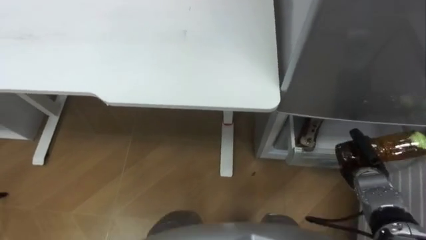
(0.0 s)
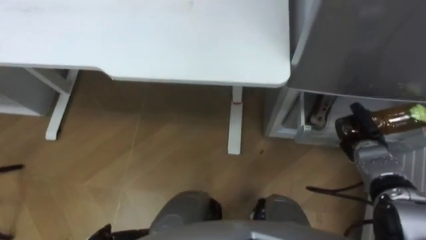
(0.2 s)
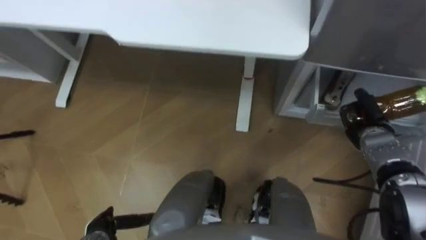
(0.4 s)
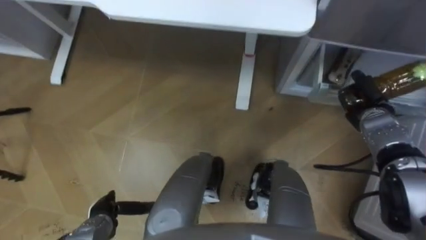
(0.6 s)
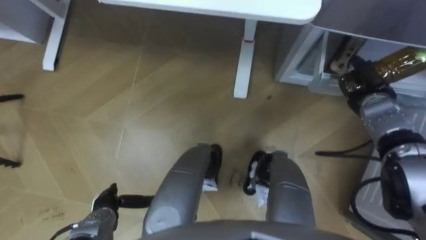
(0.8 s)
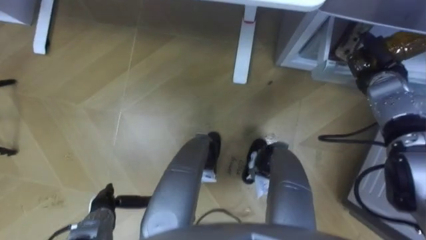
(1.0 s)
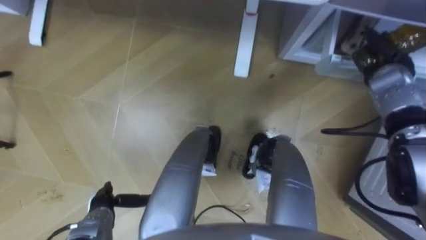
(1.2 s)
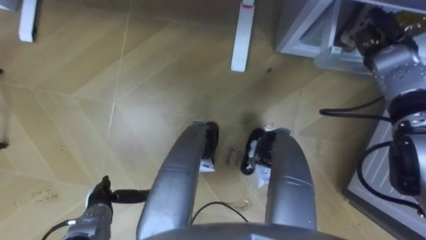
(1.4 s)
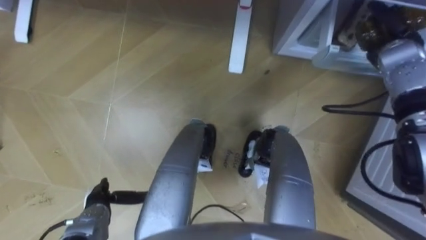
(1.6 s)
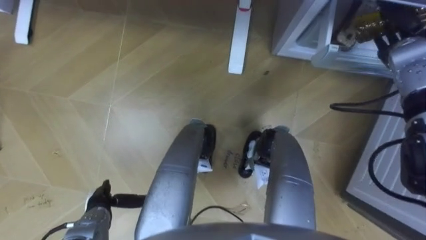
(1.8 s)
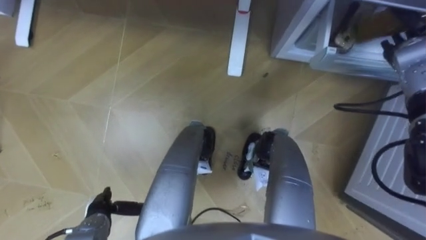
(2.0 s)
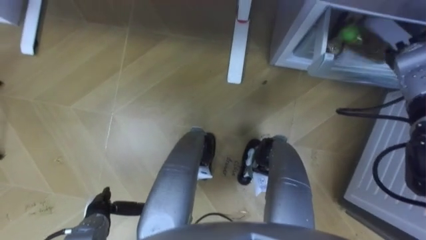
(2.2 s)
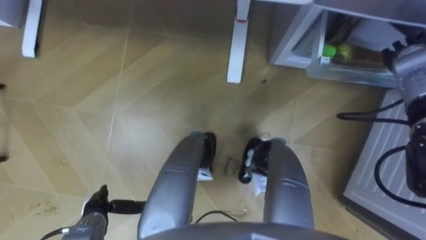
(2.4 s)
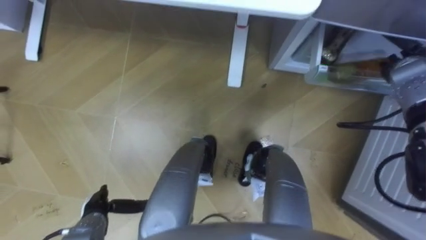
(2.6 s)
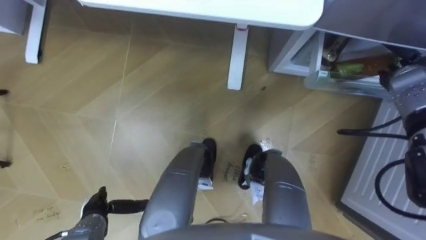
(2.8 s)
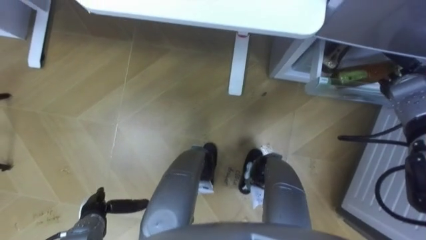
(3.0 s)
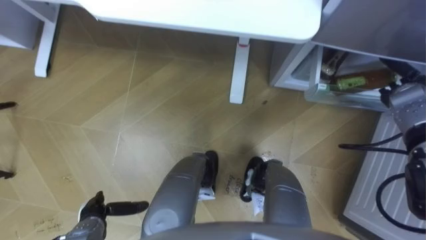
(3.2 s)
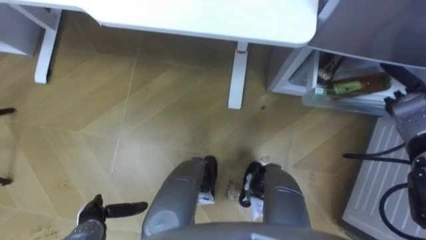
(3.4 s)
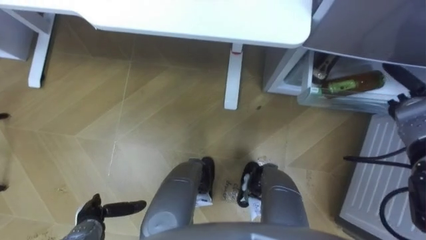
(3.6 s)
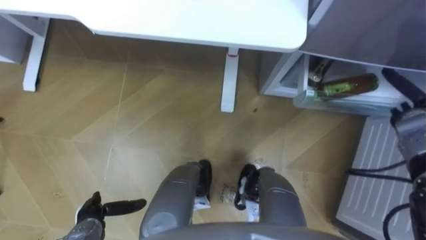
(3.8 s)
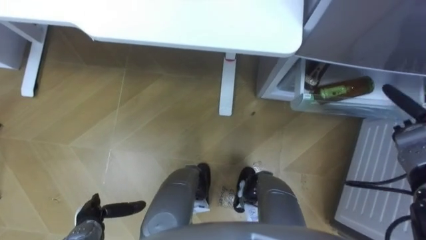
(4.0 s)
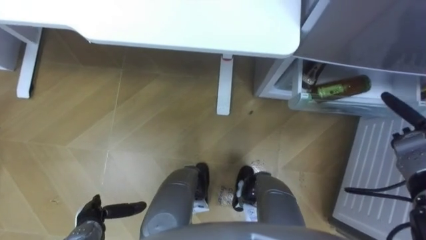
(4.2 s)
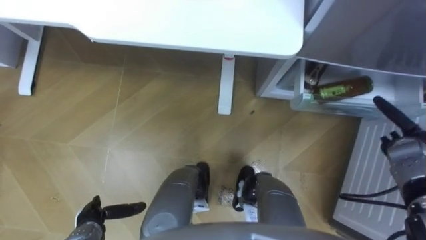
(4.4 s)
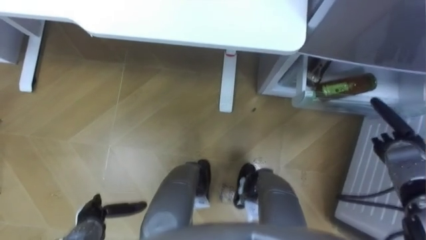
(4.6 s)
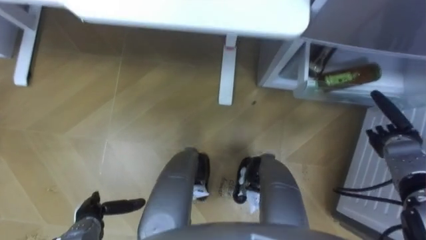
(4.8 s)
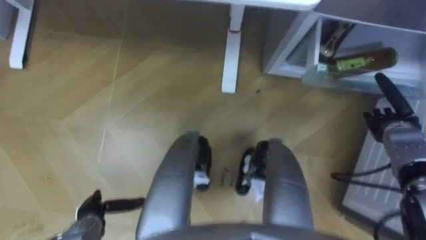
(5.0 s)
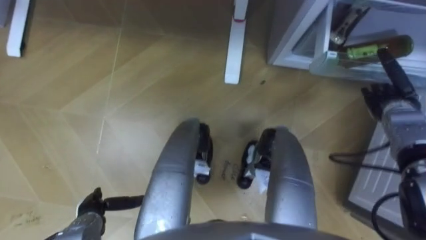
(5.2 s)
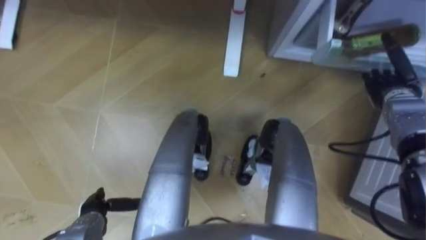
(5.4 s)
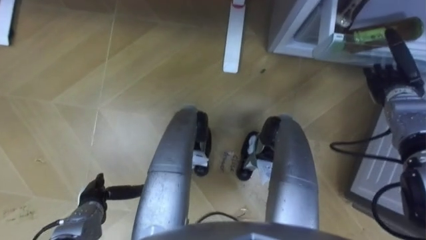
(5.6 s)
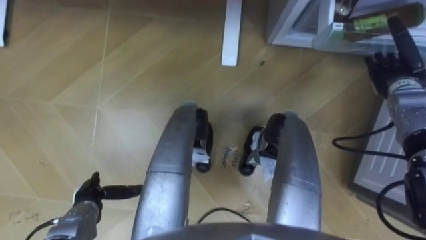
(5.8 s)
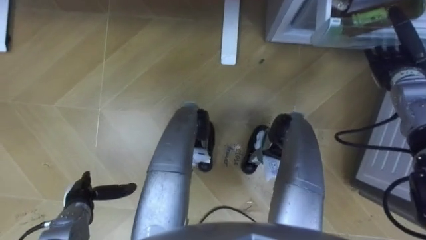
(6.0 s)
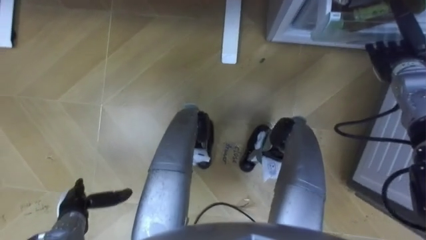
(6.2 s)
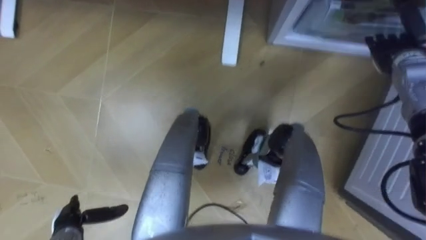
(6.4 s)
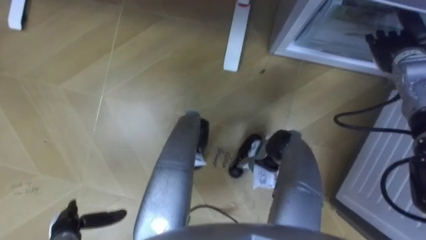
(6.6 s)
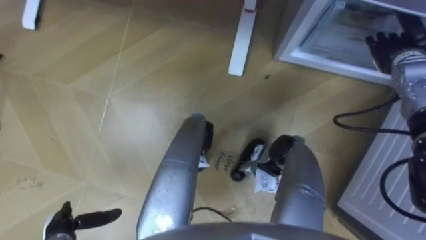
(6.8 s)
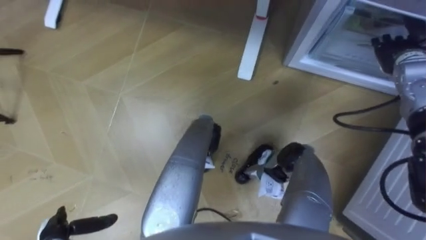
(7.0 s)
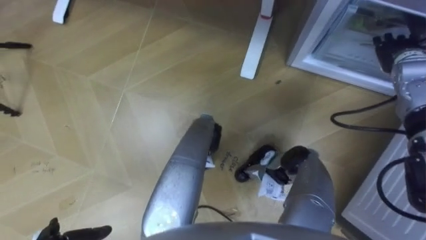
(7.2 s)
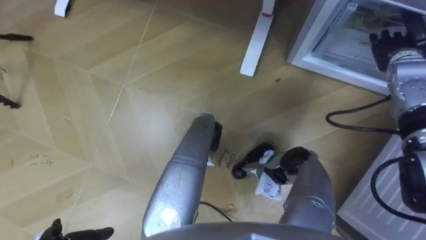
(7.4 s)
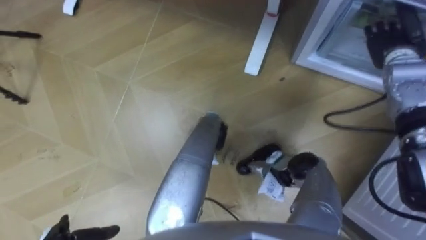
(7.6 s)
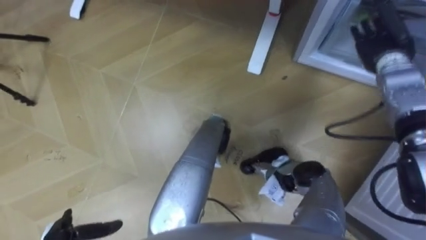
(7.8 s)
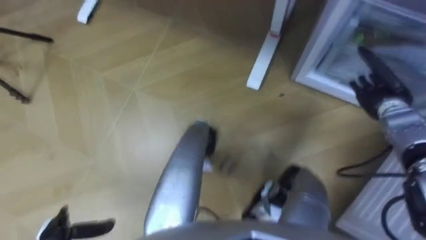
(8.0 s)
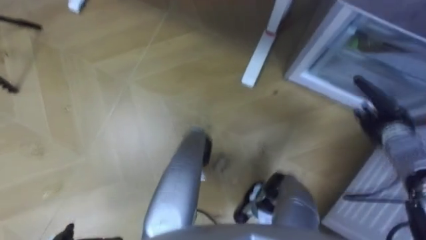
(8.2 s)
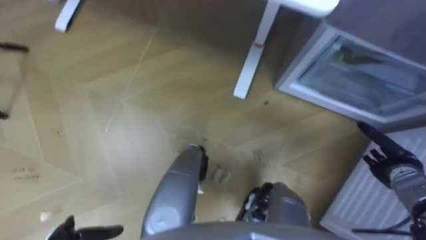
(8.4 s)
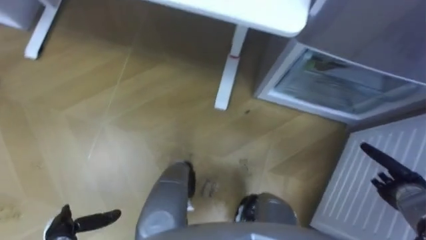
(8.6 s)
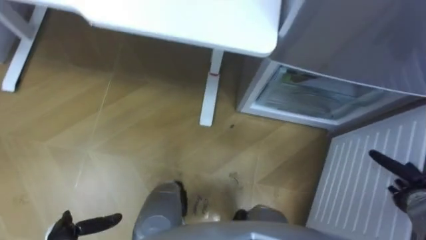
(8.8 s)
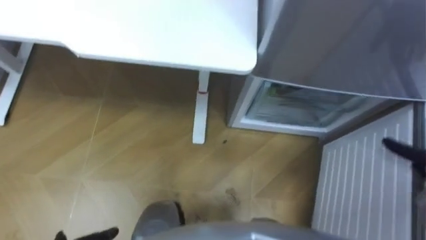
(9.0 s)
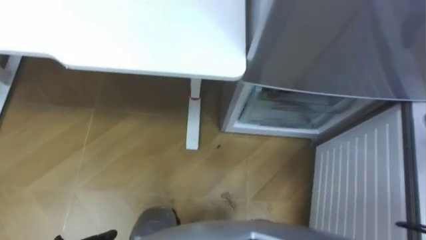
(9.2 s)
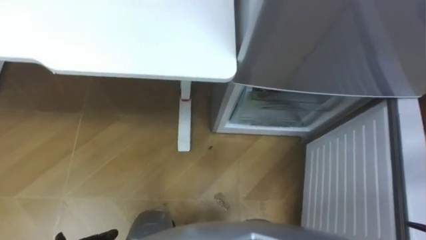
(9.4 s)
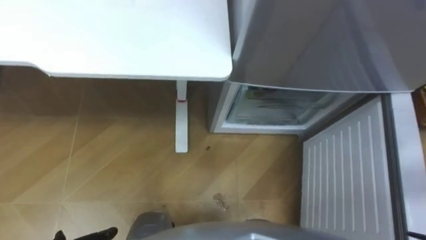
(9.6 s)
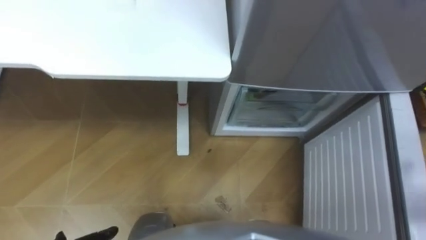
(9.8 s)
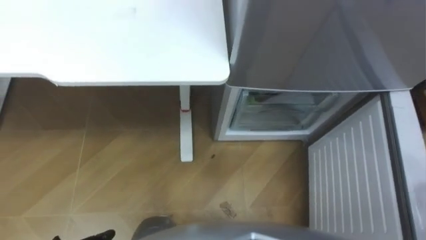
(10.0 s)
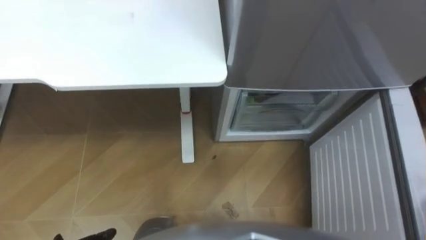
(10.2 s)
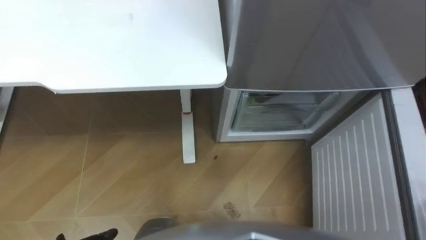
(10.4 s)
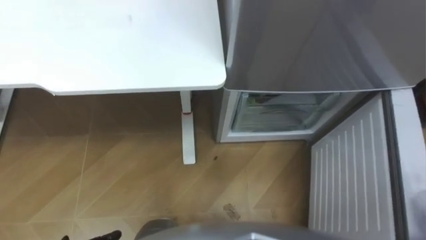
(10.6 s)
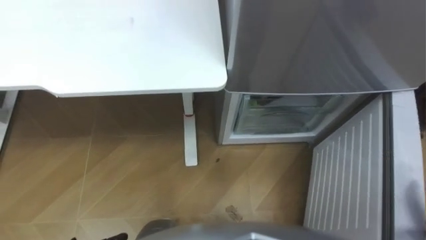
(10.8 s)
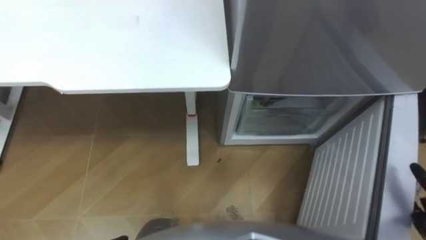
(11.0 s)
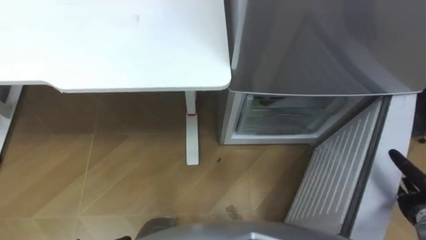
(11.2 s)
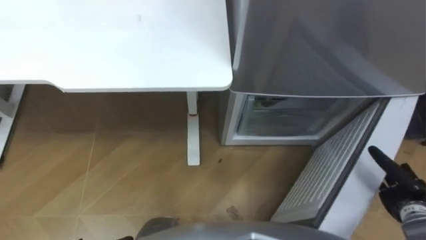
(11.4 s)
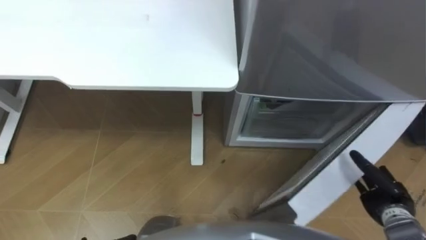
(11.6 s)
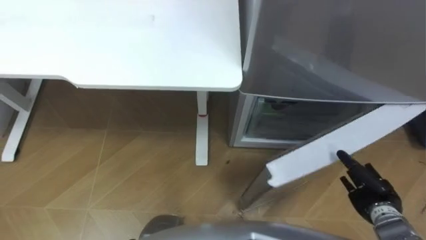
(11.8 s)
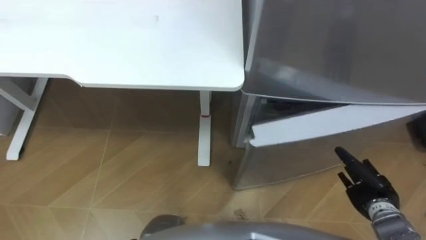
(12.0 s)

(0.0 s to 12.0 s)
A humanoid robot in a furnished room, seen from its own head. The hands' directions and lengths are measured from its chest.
Task of the whole recording: Place the drink on the table on the bottom shelf of the refrigerator, then close the drawer and the refrigerator door.
0.0 s - 1.6 s: The right hand goes some 25 cm forward and upward.
1.6 s - 3.0 s: The right hand moves some 10 cm, and opens its fingers.
3.0 s - 4.4 s: The right hand is displaced backward and downward by some 15 cm.
4.4 s - 6.0 s: The left hand changes place by some 5 cm, while the right hand shifts approximately 15 cm forward and upward.

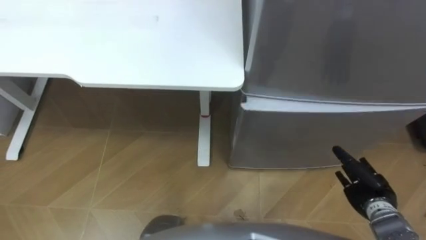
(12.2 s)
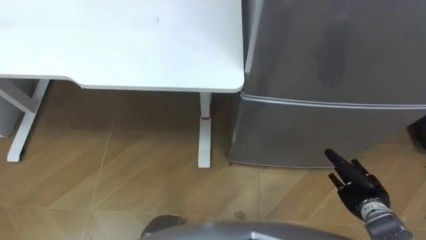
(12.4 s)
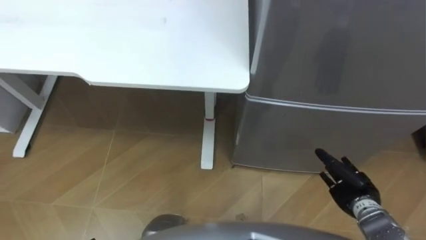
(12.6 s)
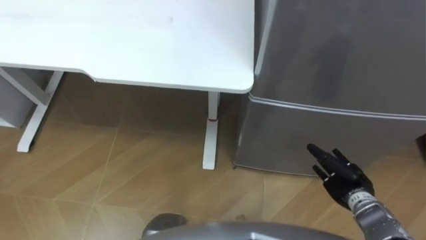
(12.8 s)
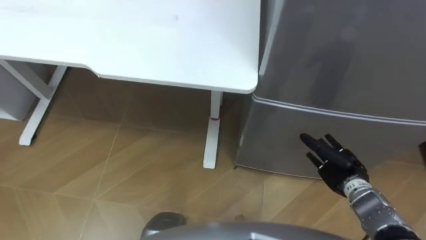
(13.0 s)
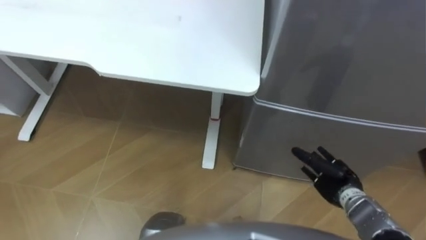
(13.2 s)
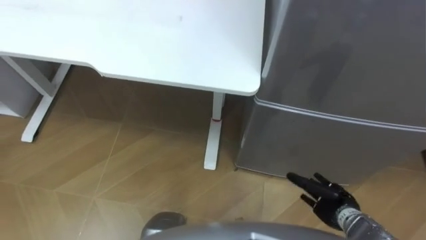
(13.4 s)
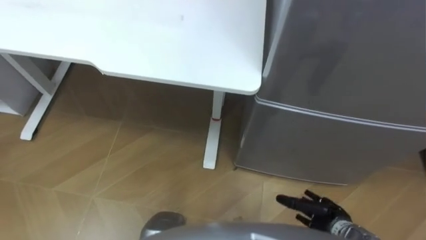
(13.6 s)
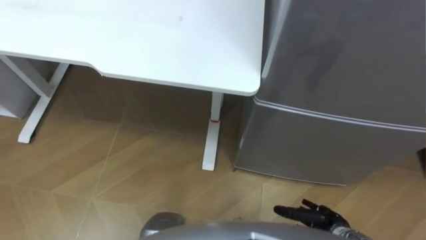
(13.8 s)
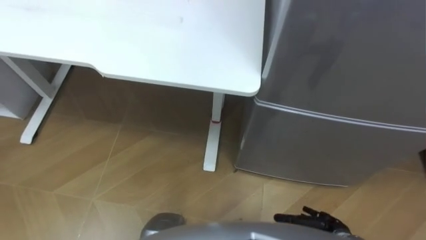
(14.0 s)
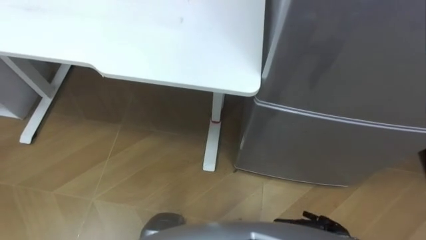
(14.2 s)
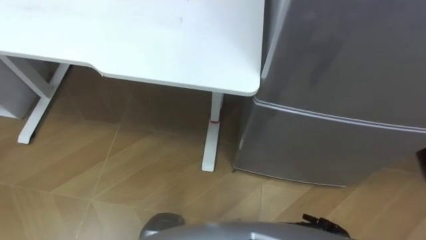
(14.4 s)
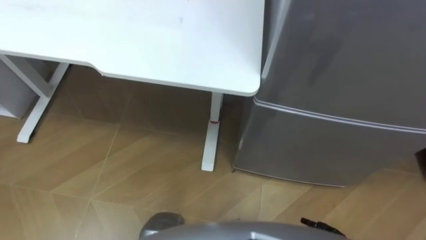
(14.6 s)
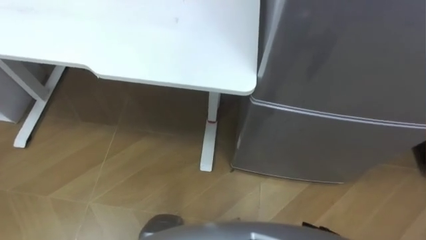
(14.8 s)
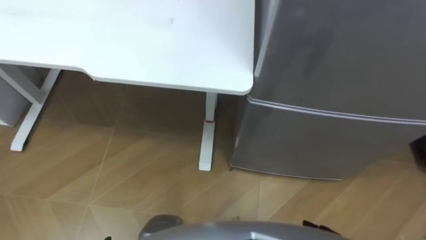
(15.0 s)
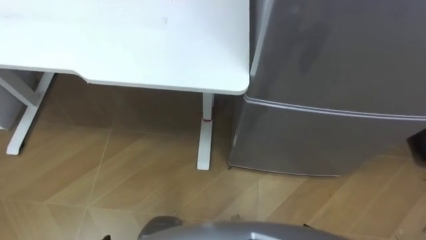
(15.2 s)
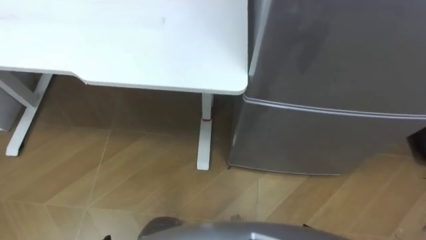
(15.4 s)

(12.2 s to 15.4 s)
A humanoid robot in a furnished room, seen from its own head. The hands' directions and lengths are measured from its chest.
Task of the whole recording: Place the drink on the table on the bottom shelf of the refrigerator, then close the drawer and the refrigerator door.
12.2 s - 13.8 s: The right hand is displaced to the left, backward and downward by some 10 cm.

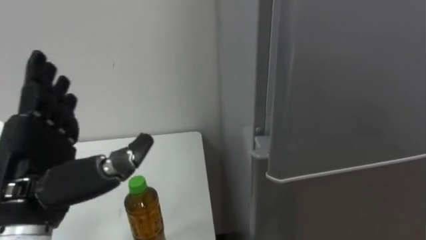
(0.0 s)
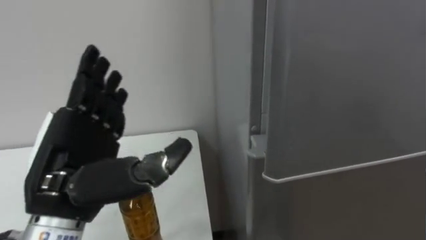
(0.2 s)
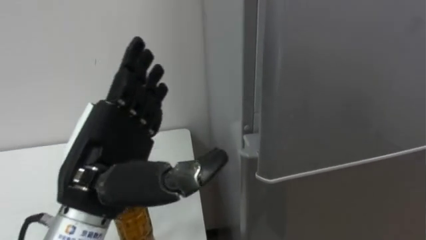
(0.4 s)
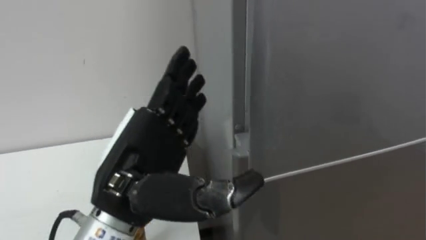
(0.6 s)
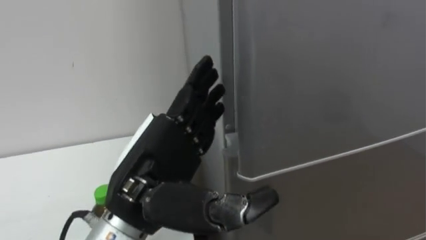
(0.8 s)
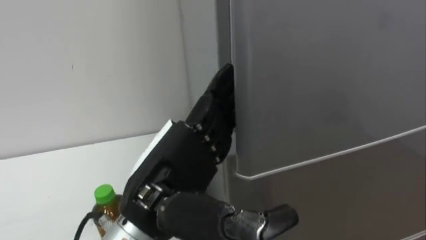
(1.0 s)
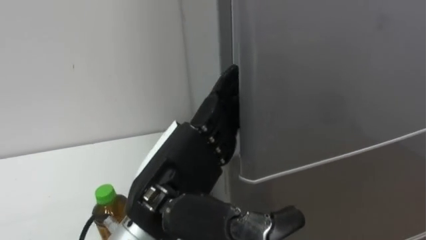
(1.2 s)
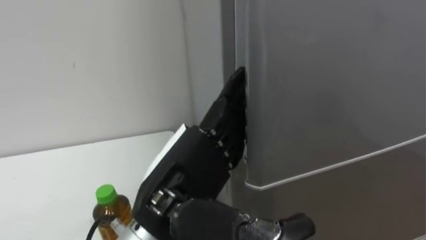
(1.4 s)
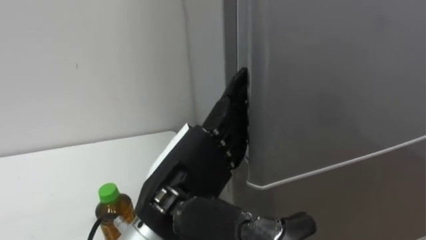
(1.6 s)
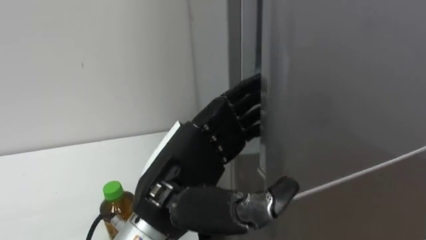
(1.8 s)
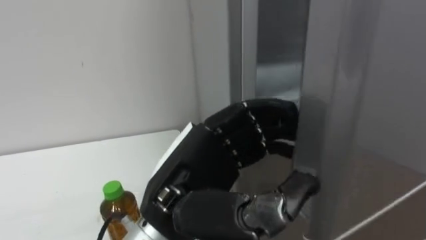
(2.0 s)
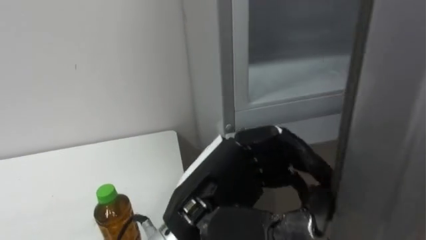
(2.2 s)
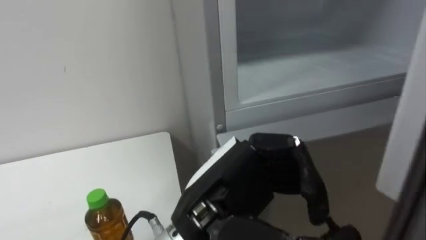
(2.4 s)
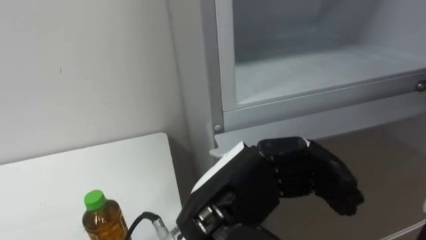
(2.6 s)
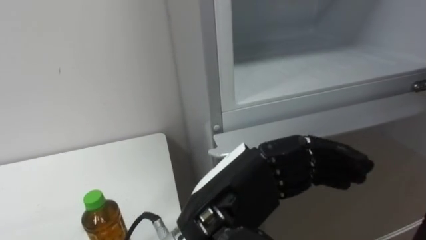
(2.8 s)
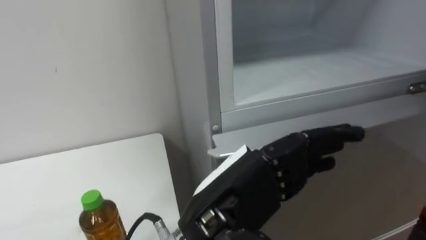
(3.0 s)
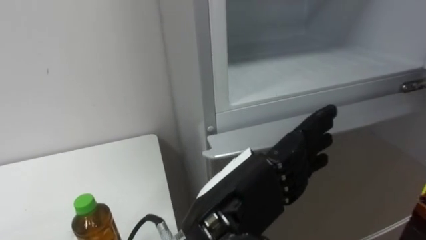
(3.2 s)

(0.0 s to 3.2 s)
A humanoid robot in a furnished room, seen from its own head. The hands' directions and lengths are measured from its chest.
Task of the whole recording: Open the upper refrigerator door, put the drink from the table into the refrigerator, and then close the refrigerator door.
0.0 s - 1.6 s: The left hand heads to the right, covering approximately 15 cm.
1.6 s - 3.2 s: The left hand moves roughly 5 cm, and closes, then opens again.
